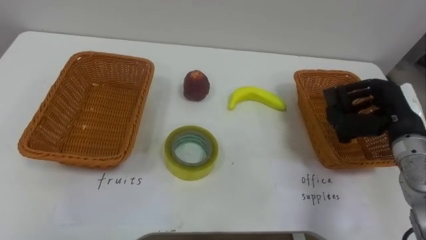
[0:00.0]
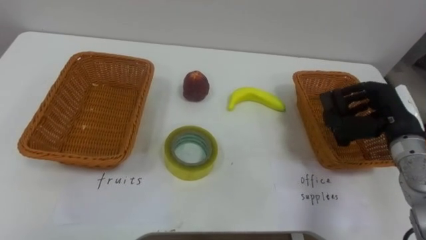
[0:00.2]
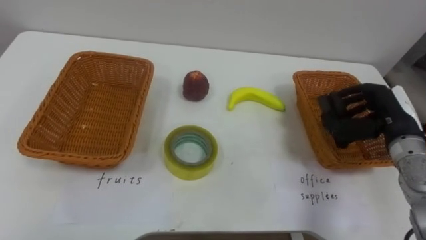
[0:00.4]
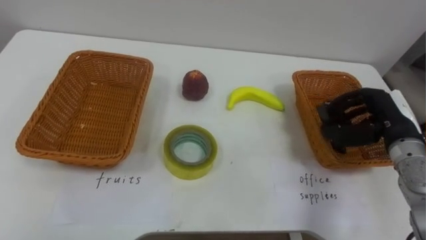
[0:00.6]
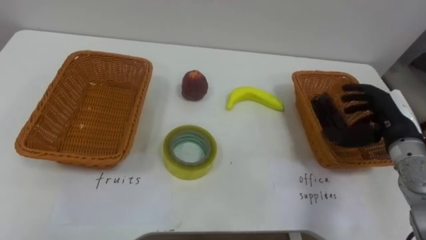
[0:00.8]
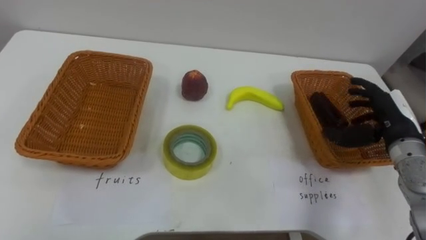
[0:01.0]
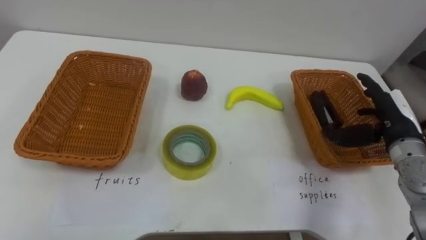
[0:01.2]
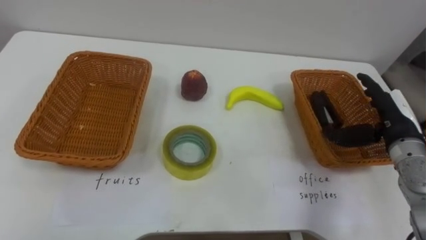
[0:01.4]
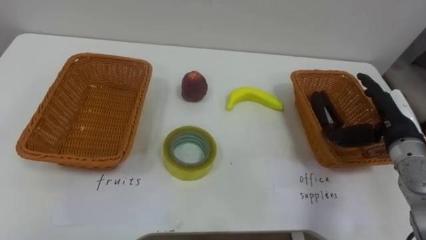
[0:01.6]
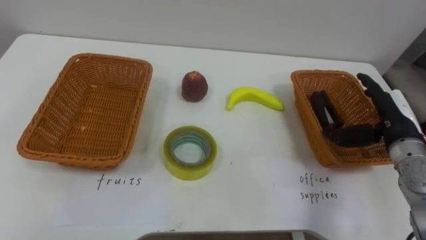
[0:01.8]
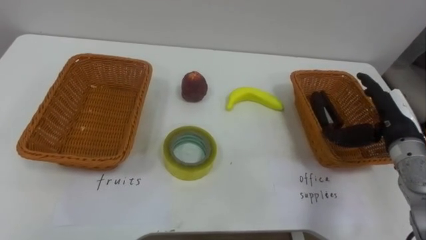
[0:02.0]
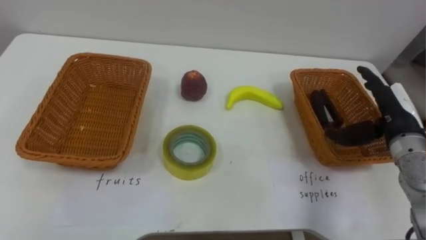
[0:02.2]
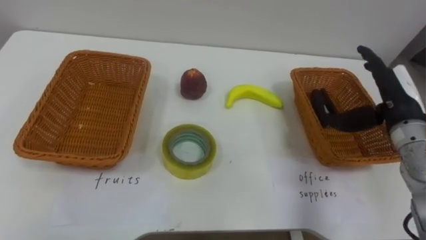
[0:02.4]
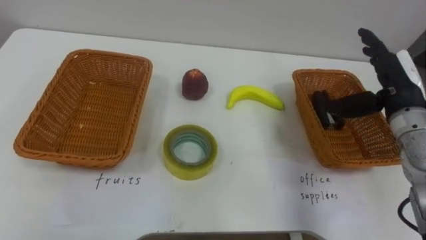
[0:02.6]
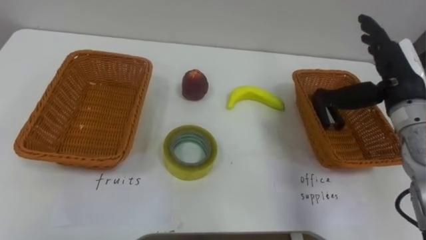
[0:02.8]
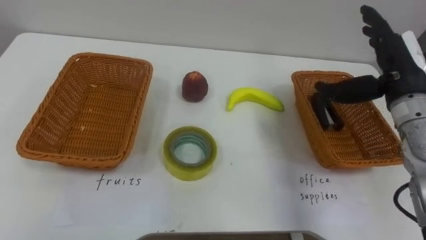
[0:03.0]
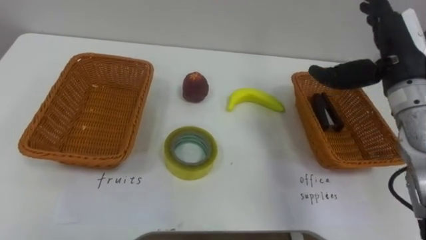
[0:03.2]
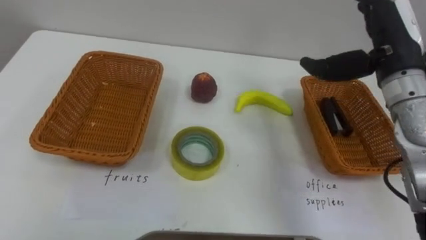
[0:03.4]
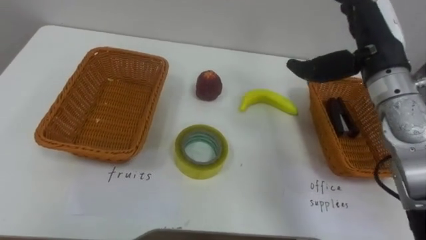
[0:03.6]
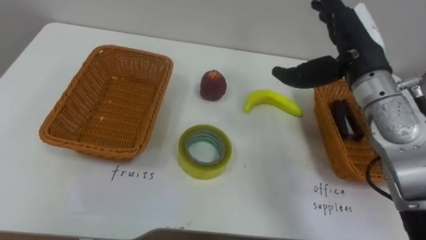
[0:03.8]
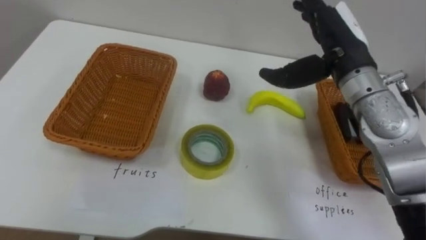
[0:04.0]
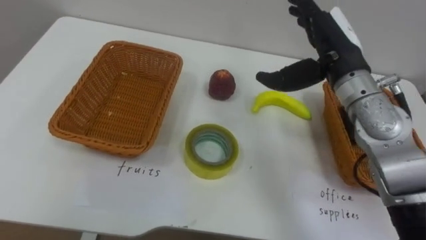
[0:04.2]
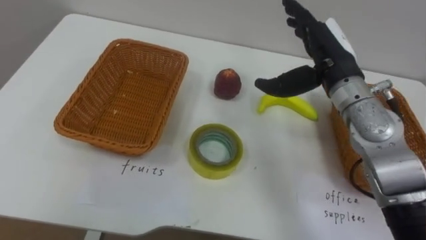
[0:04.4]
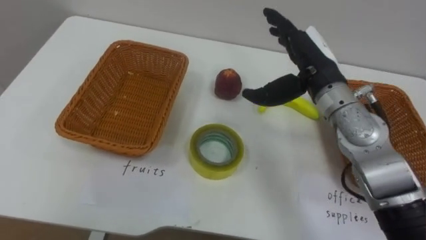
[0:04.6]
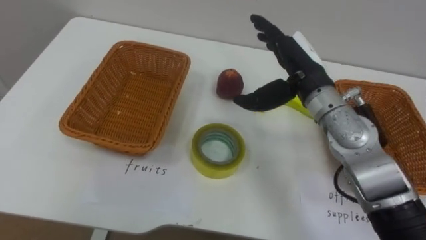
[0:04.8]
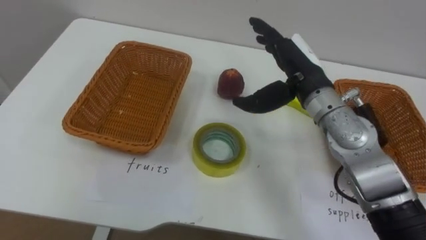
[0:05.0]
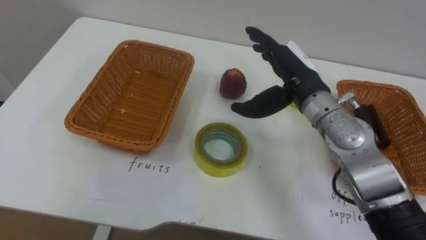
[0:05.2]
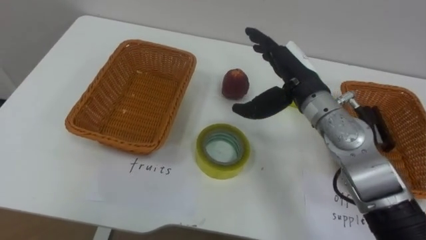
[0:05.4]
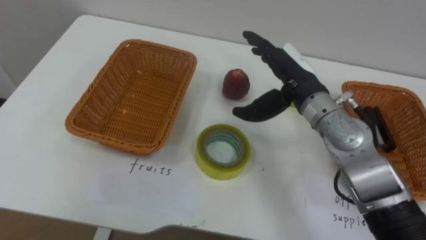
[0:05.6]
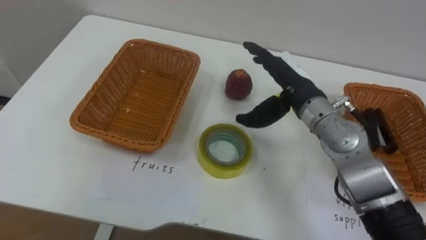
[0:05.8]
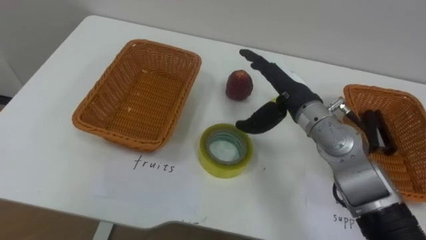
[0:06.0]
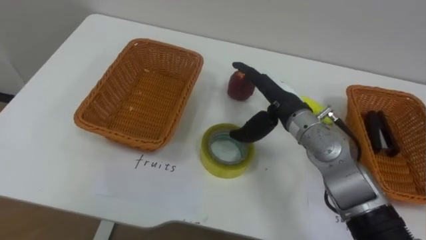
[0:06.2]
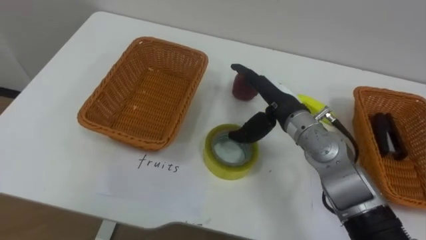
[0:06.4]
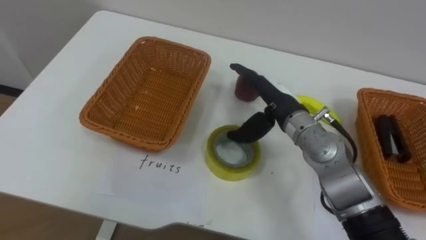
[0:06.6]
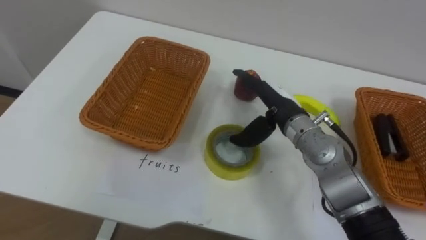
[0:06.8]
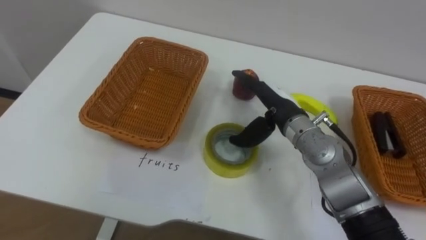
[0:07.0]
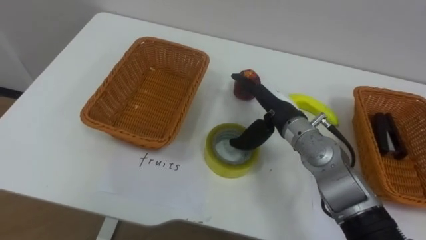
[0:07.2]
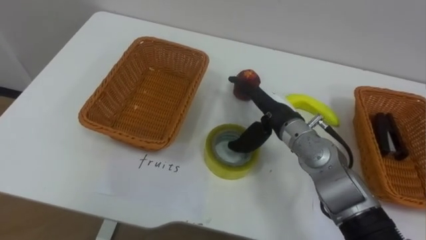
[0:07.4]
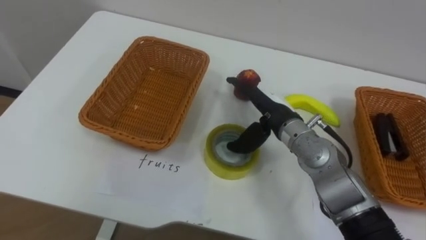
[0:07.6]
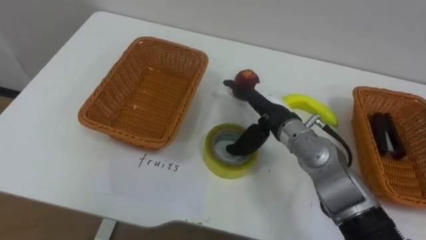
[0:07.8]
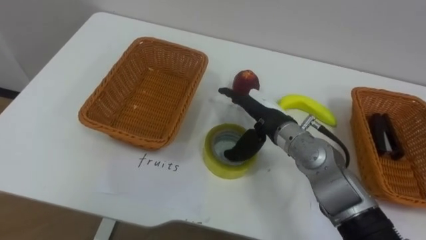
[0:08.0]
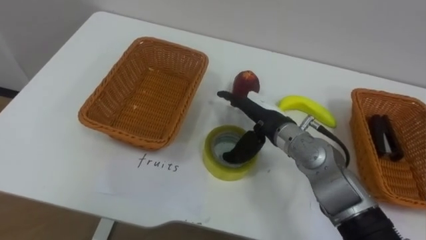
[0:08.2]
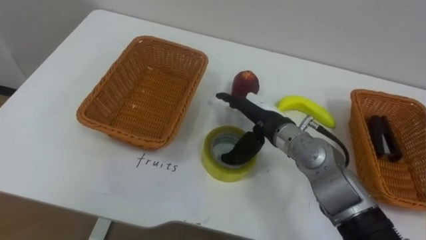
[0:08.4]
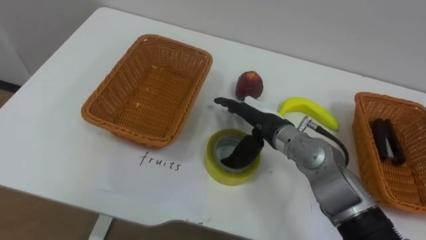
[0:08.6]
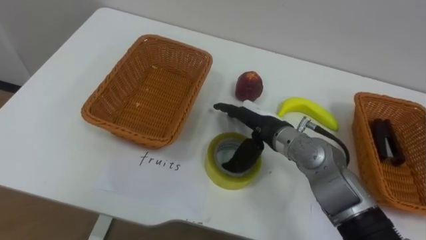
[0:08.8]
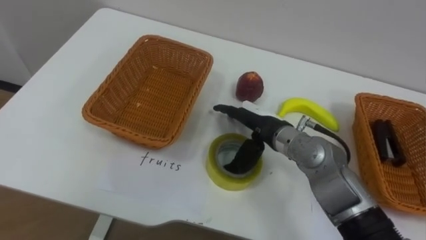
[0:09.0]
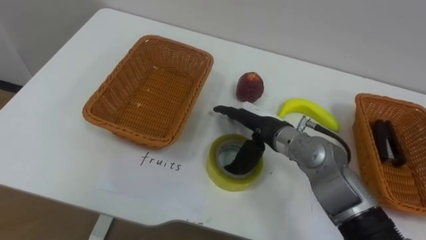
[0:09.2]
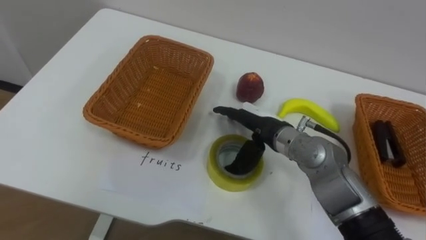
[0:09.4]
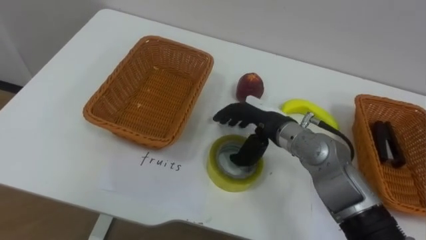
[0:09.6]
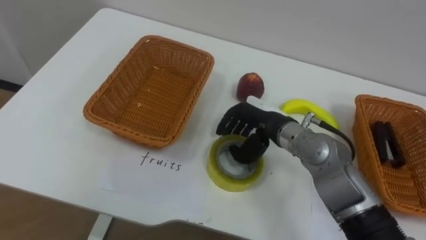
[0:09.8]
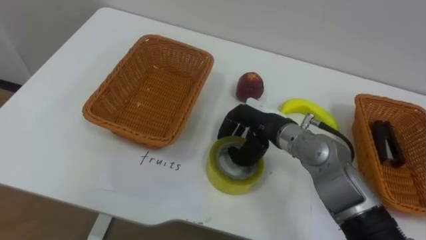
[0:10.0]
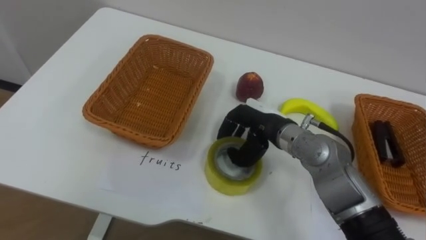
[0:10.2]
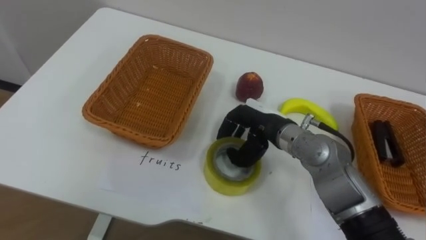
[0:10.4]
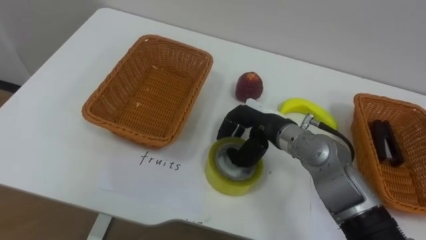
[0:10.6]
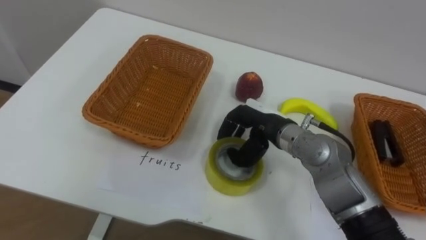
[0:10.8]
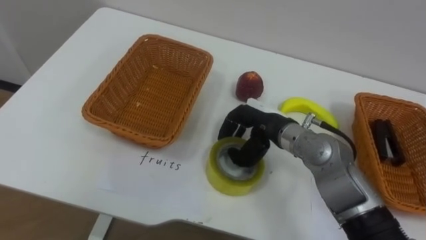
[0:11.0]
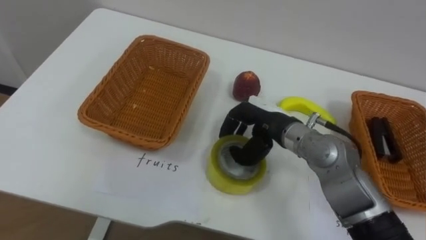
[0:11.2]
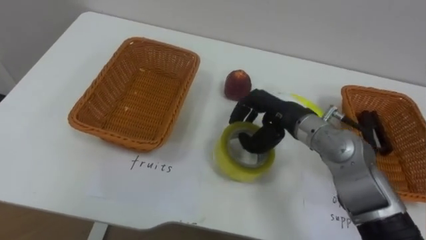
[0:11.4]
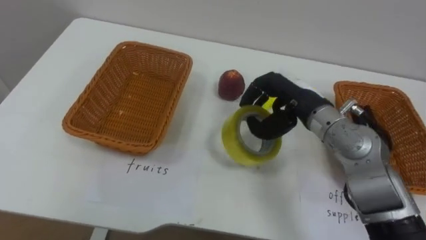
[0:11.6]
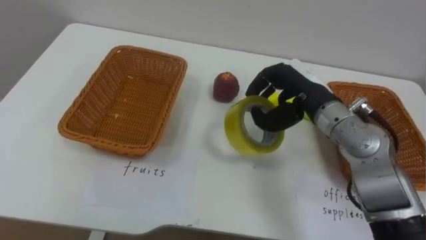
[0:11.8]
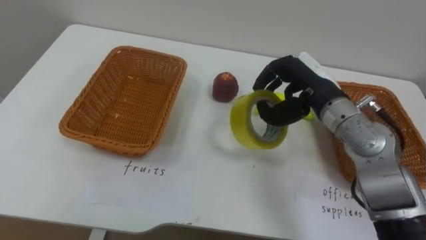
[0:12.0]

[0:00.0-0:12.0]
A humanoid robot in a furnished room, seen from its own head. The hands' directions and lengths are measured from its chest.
Task of the whole recording: Separate the items on the table and place them into the two baskets.
0:00.0 to 0:01.6: The right hand opens its fingers.
0:01.6 to 0:03.0: The right hand is displaced upward by about 10 cm.
0:03.0 to 0:04.4: The right hand moves to the left, about 10 cm.
0:04.4 to 0:06.0: The right hand is displaced downward and to the left by some 10 cm.
0:06.0 to 0:07.6: The right hand shifts by about 5 cm.
0:09.0 to 0:10.4: The right hand closes.
0:10.4 to 0:12.0: The right hand shifts some 10 cm upward and to the right.

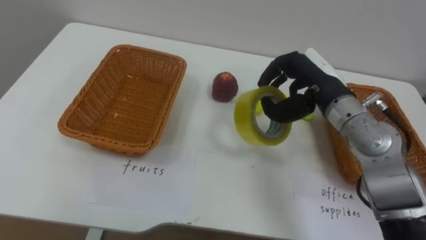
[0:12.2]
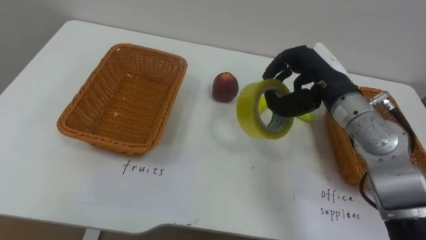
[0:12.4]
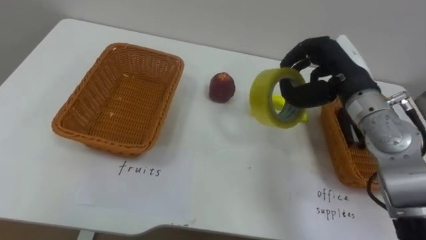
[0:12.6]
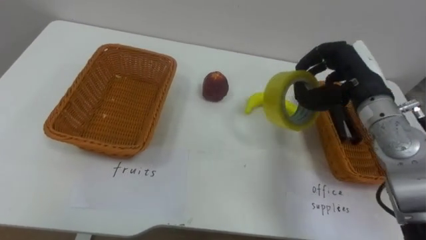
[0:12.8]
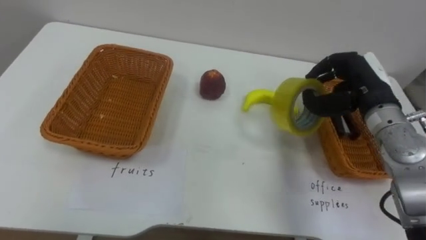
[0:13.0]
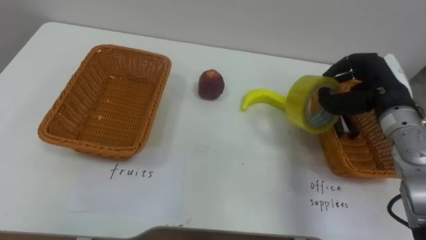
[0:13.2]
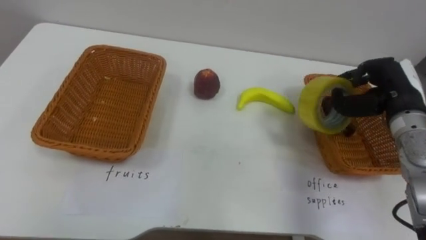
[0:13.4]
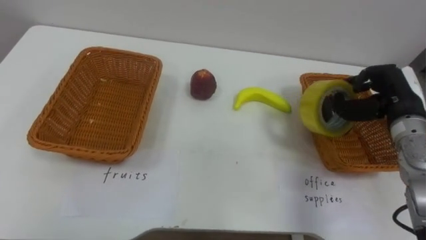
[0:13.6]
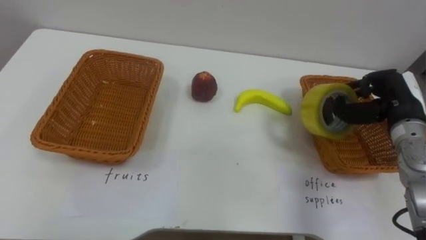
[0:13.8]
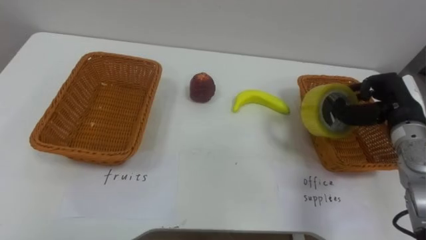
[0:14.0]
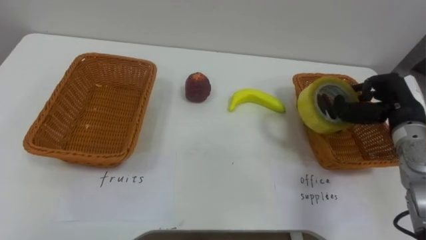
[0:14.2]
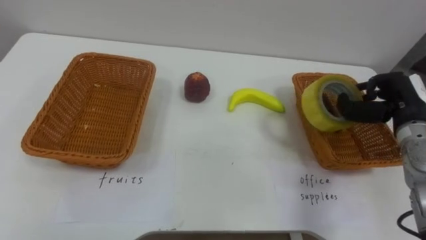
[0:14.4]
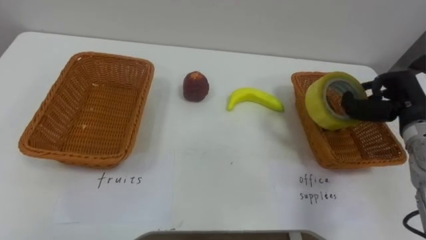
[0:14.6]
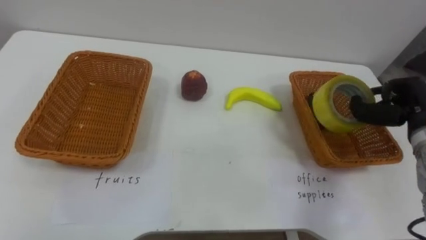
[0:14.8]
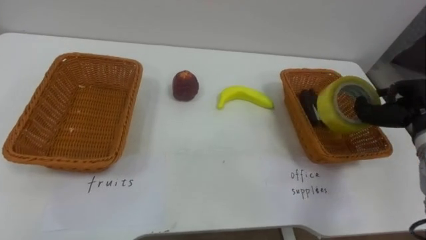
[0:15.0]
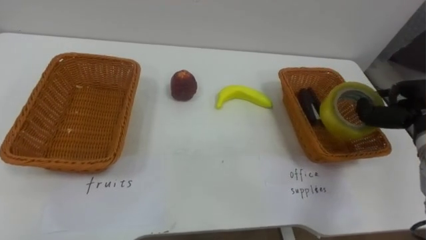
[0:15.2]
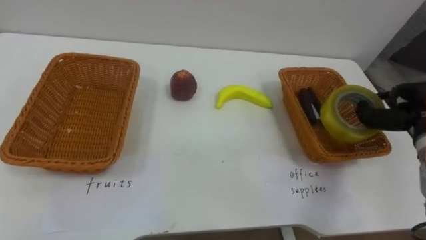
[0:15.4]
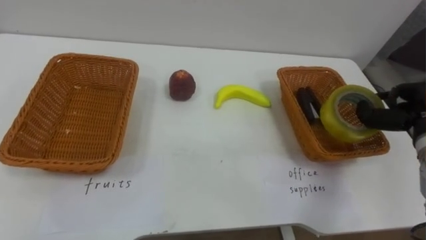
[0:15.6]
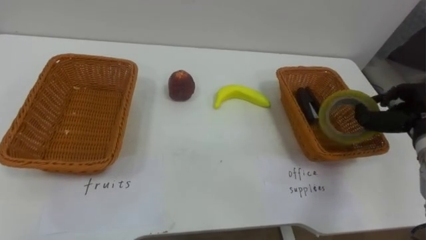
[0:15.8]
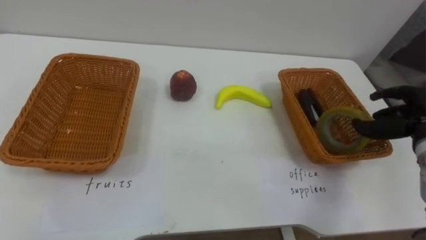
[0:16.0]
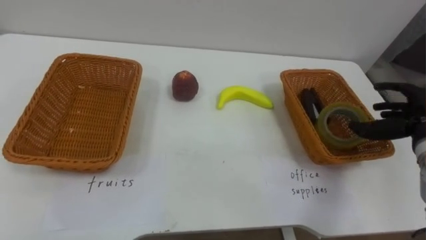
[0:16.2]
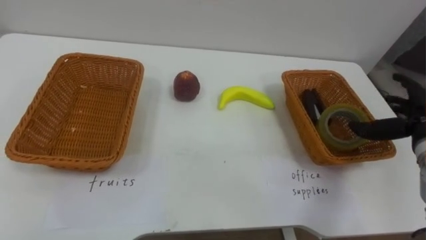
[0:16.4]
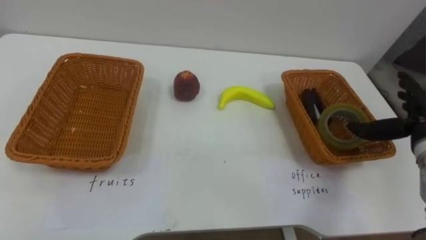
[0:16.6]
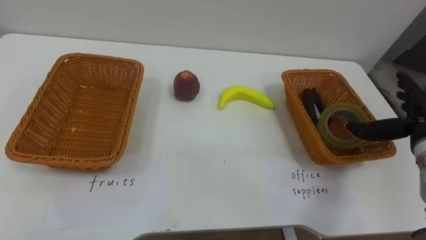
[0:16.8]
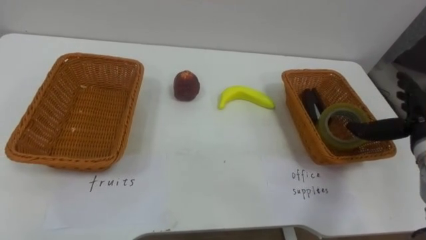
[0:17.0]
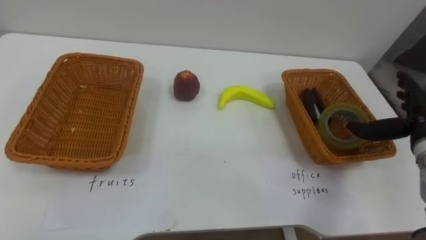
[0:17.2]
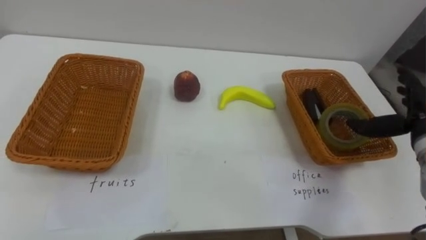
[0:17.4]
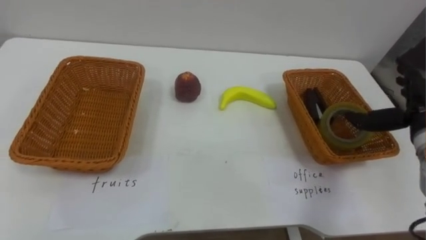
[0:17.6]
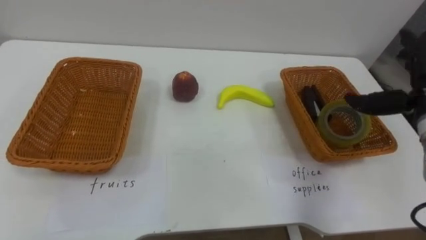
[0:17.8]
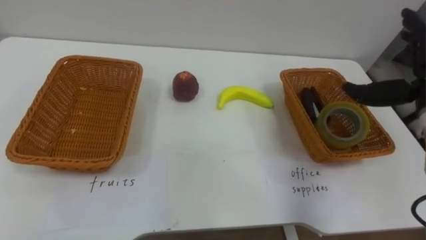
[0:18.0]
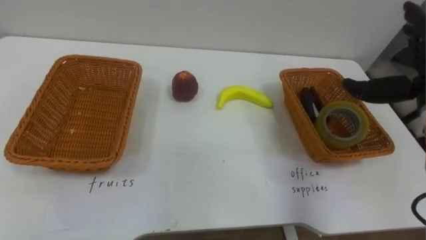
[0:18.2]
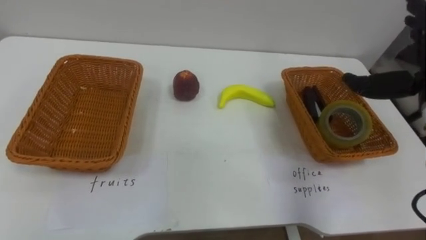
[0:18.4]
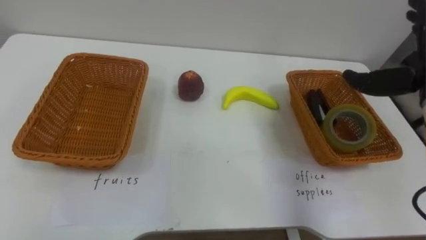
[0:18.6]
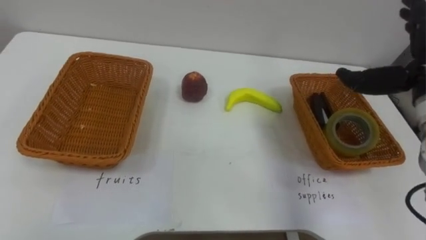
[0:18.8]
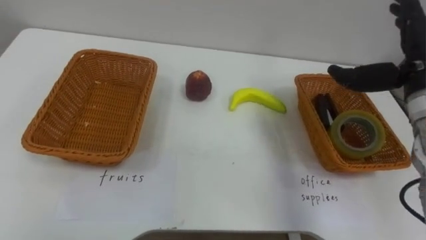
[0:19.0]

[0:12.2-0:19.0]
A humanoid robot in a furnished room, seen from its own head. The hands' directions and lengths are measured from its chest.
Task of the whole recording: Separate the items on the table and place them into the two baskets.
0:12.2 to 0:13.6: The right hand travels to the right by approximately 15 cm.
0:13.6 to 0:15.0: The right hand shifts by some 5 cm.
0:15.0 to 0:16.2: The right hand opens.
